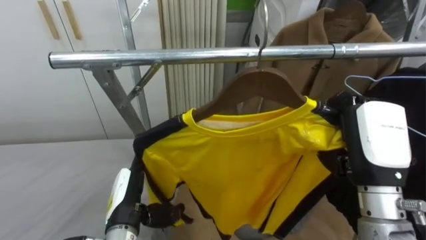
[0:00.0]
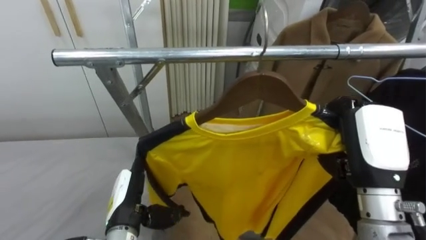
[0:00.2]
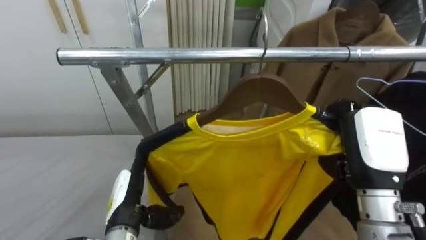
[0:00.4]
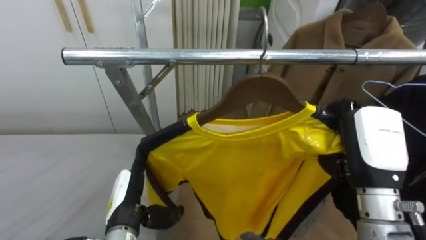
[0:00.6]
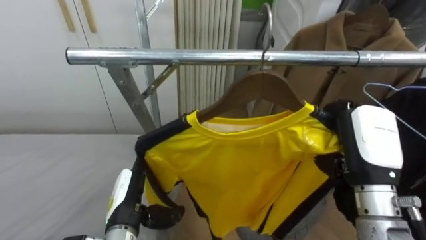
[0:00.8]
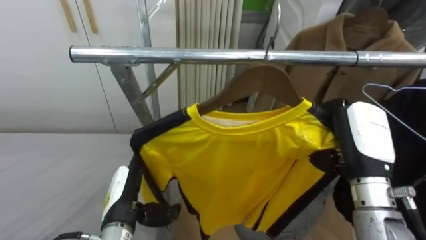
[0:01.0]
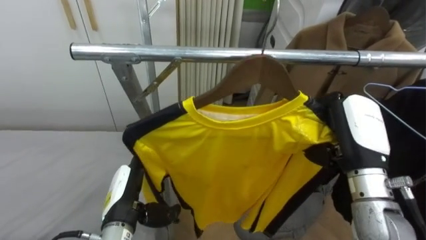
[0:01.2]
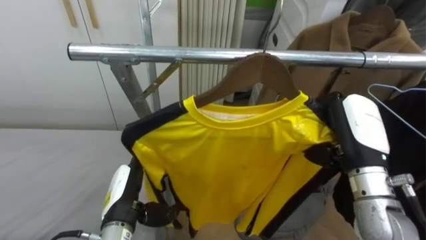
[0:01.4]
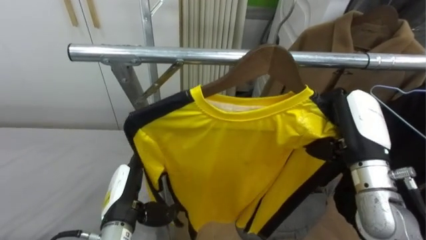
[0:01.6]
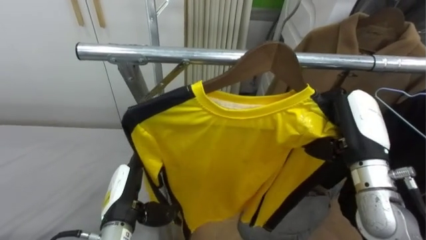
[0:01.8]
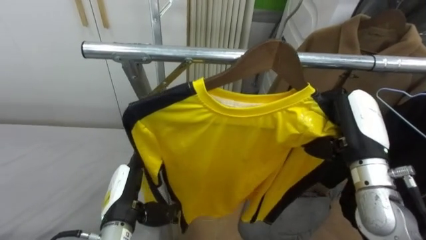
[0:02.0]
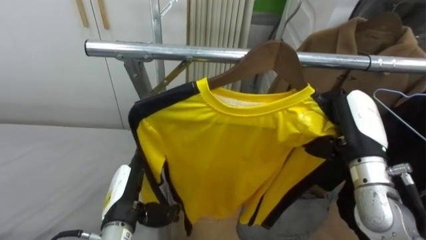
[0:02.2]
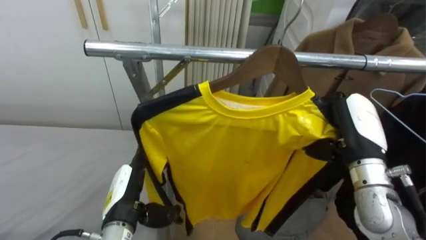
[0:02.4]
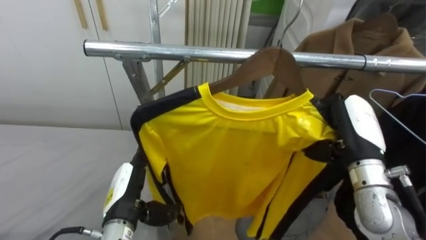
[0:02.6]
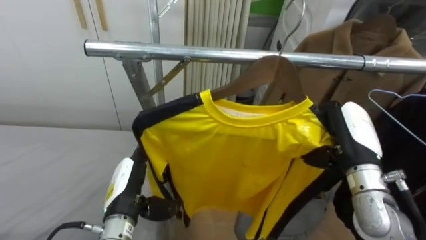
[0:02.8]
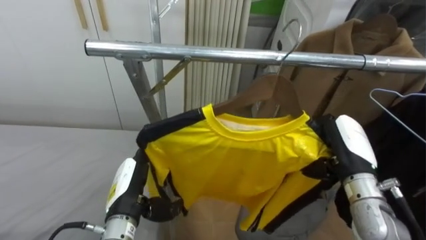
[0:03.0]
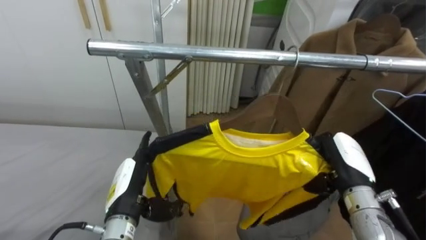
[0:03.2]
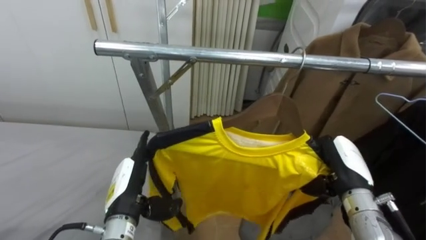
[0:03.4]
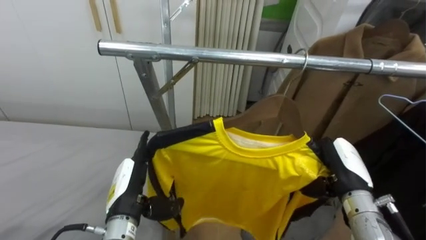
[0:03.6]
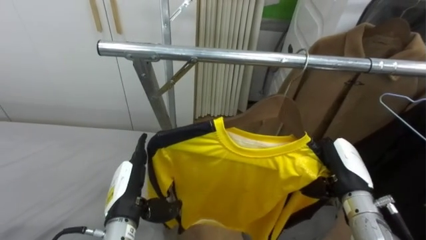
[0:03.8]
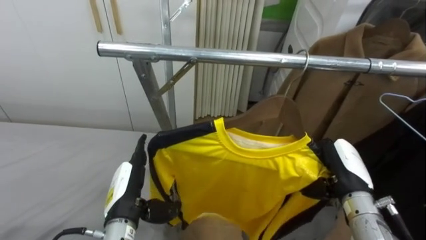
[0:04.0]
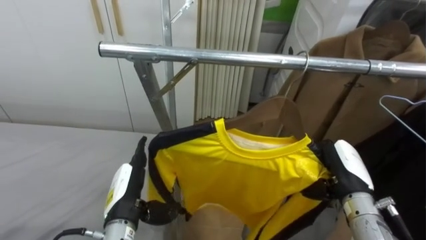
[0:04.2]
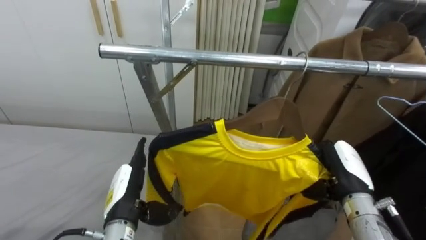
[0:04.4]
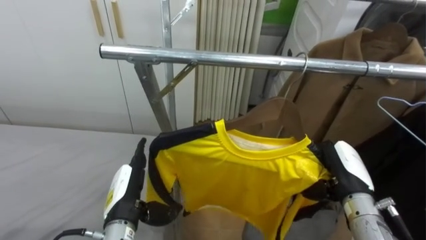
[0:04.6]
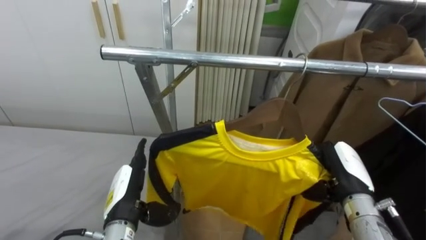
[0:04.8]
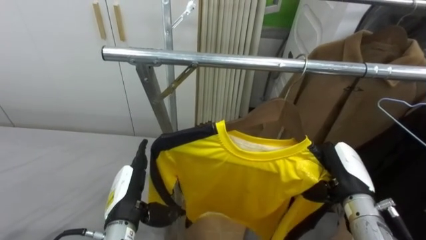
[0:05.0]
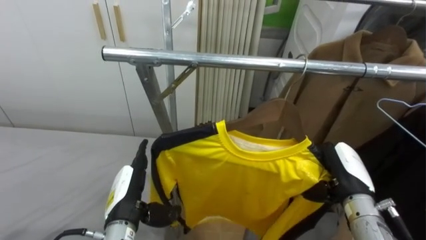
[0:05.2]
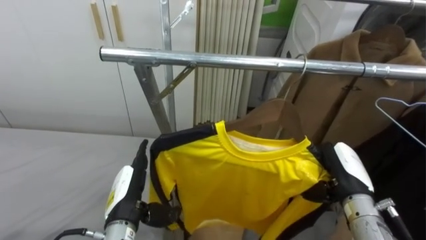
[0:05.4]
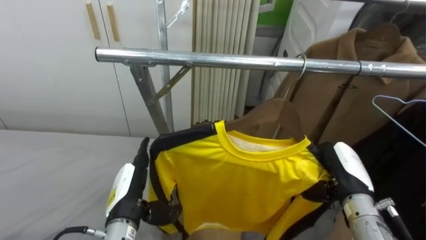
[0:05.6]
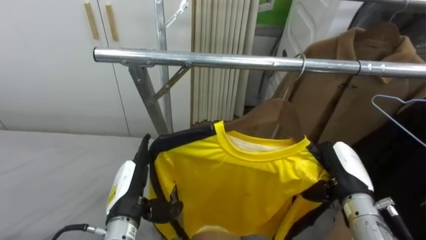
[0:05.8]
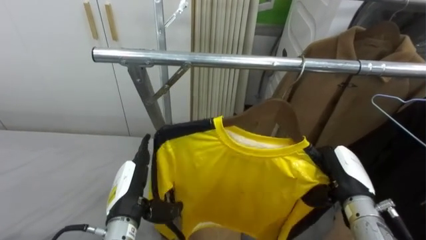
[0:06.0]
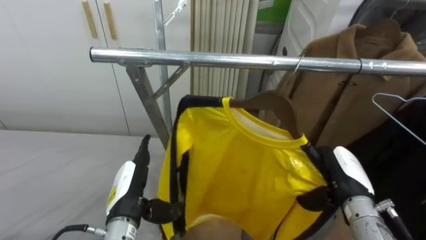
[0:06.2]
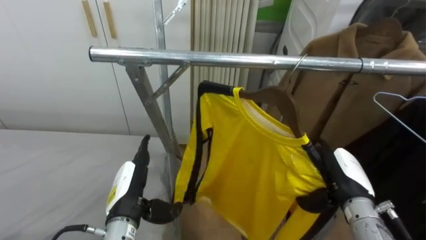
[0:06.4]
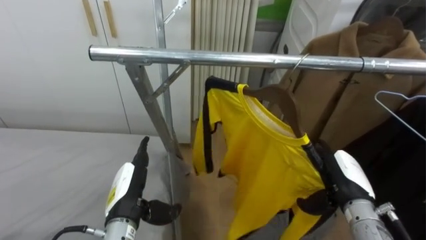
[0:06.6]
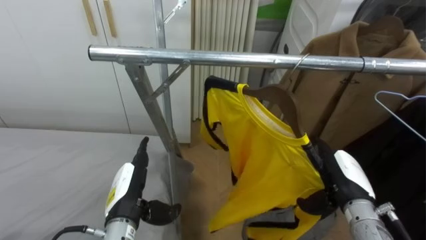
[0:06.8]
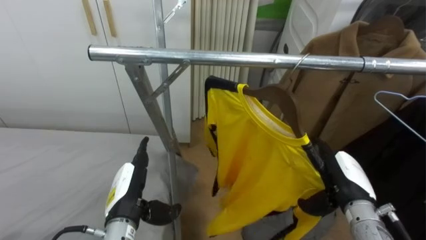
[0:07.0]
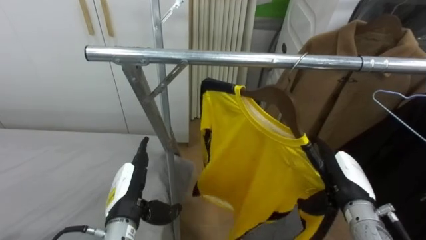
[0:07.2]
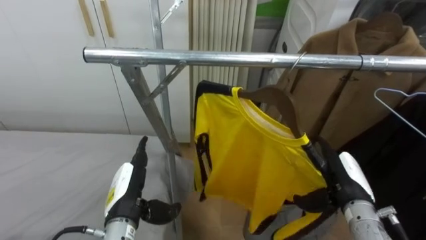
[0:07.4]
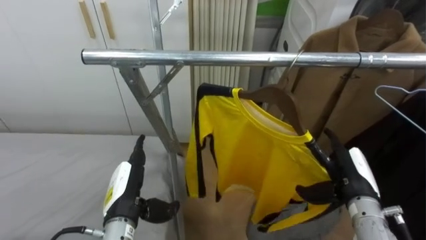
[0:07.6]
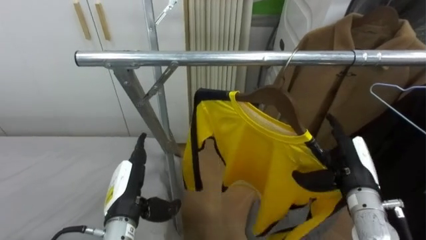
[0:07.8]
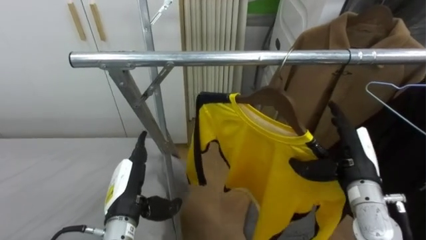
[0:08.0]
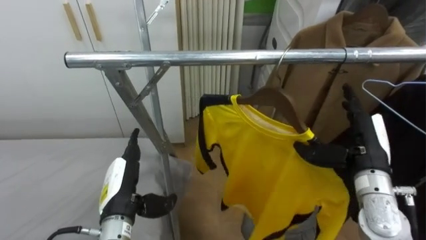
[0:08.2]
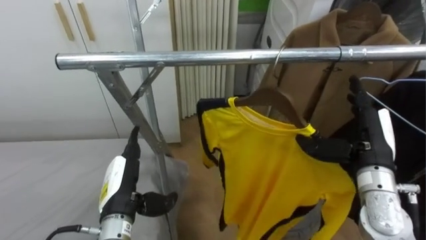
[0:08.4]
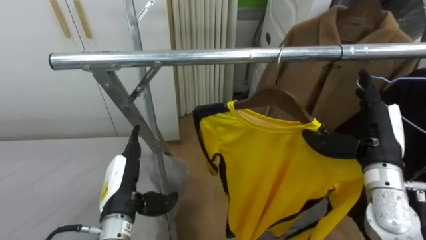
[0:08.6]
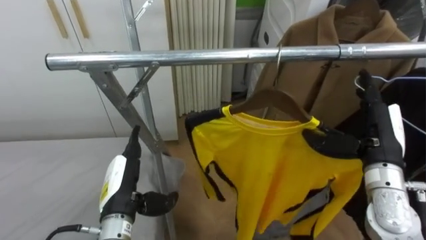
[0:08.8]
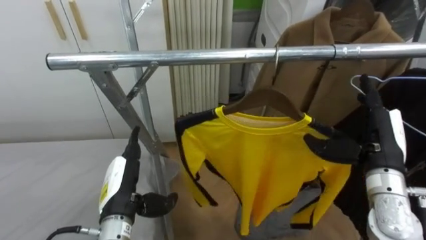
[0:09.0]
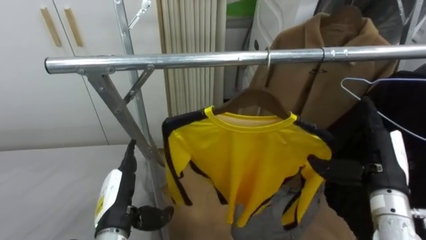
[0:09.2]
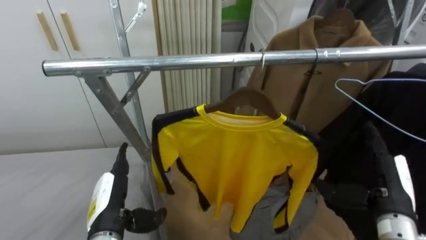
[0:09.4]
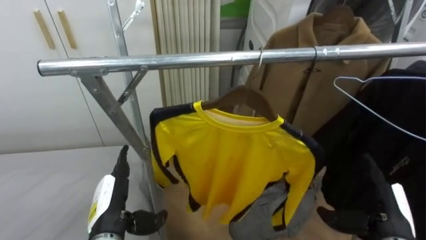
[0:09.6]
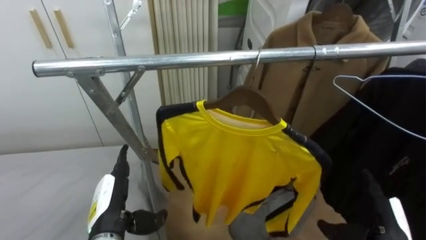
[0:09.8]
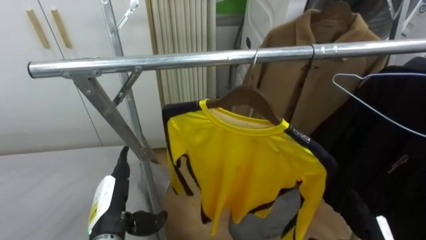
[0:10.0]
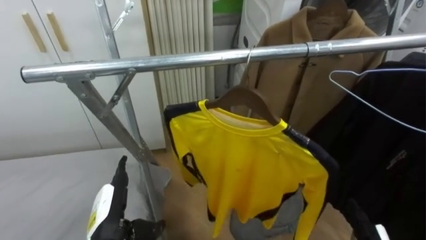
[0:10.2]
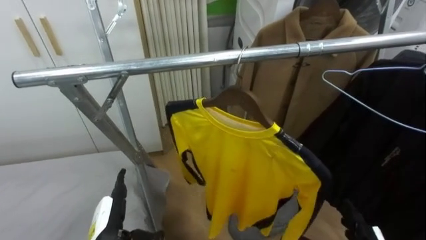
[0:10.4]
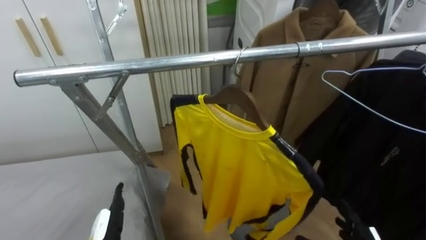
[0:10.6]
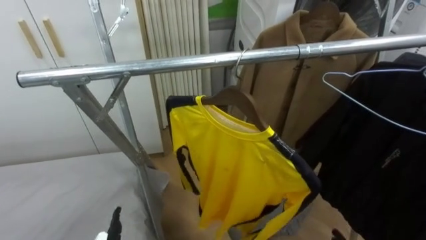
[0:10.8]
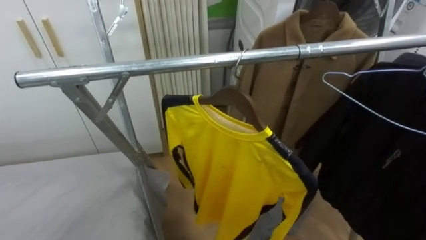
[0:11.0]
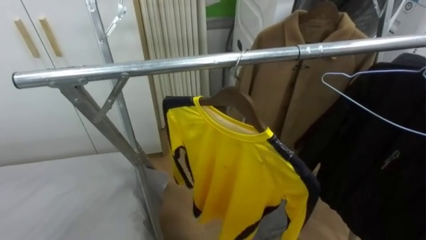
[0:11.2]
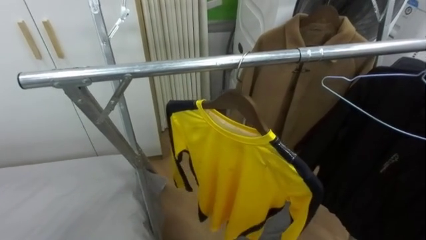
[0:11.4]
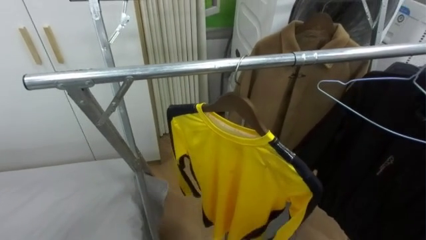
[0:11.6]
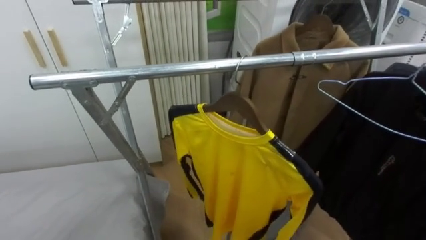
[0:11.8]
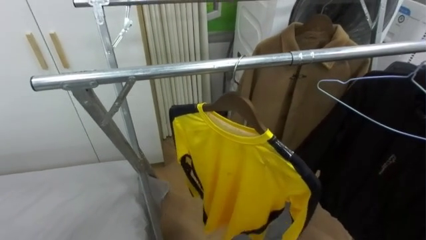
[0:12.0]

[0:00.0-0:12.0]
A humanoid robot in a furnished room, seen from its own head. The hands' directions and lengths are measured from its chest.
Task of the whole recording: Pick up the yellow shirt on the bed and hang it on the clothes rack on the right.
0:01.6 to 0:03.0: The right hand moves downward, some 5 cm.
0:03.0 to 0:04.4: The right hand goes some 5 cm downward.
0:06.0 to 0:07.6: The right hand opens its fingers.
0:07.6 to 0:09.0: The right hand goes roughly 10 cm upward.
0:09.0 to 0:10.4: The left hand moves downward, some 5 cm.

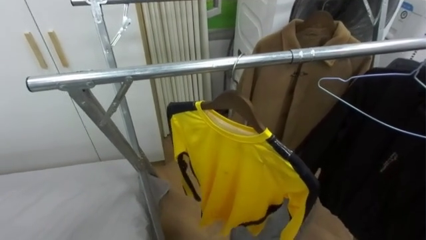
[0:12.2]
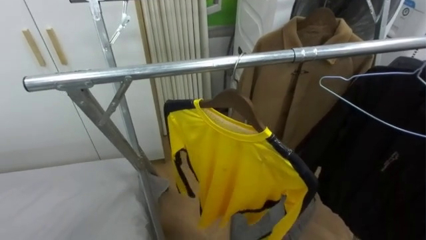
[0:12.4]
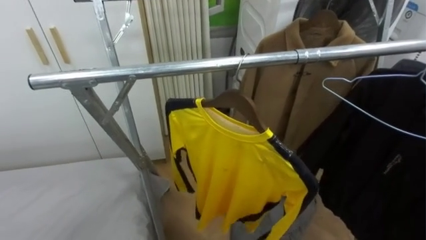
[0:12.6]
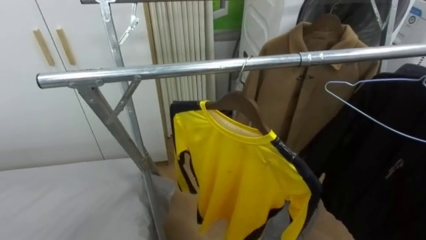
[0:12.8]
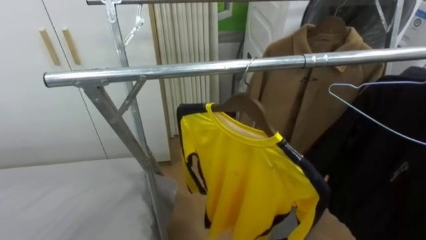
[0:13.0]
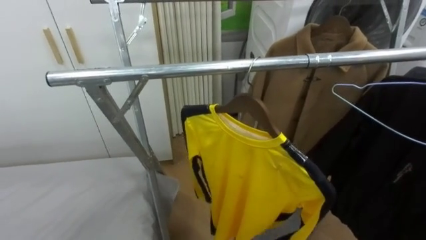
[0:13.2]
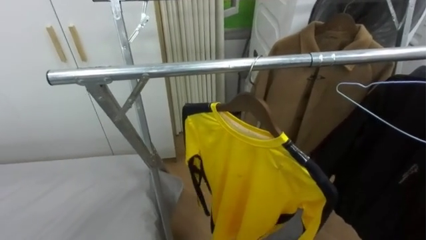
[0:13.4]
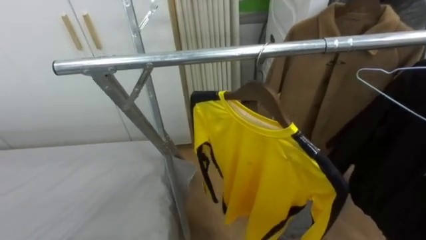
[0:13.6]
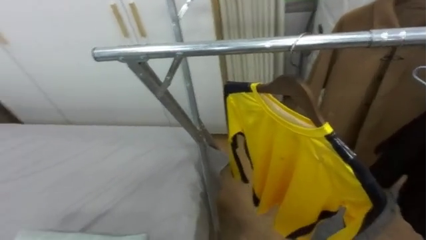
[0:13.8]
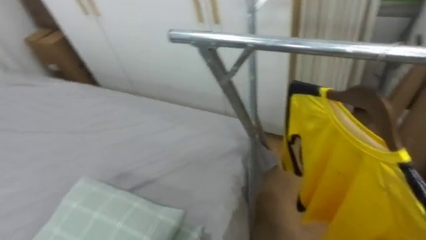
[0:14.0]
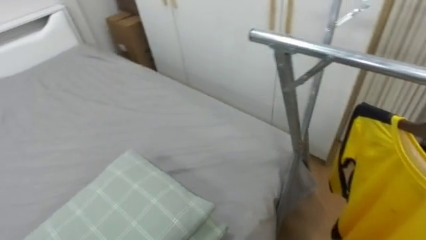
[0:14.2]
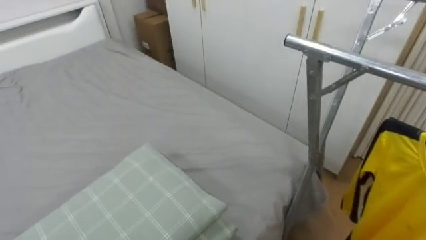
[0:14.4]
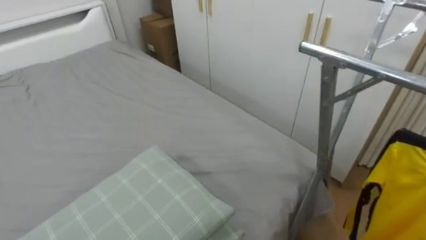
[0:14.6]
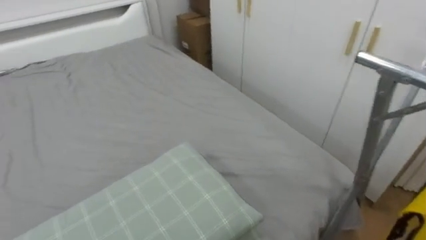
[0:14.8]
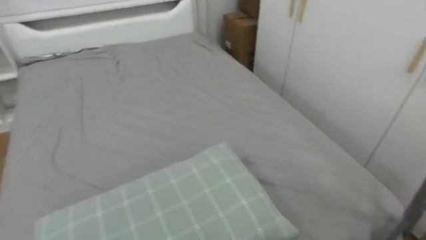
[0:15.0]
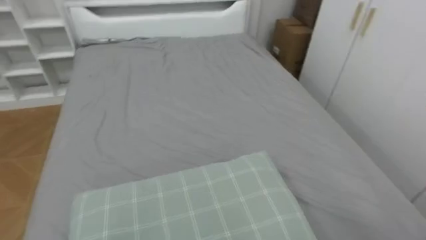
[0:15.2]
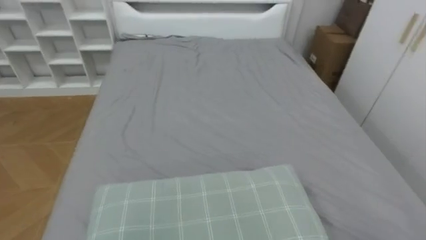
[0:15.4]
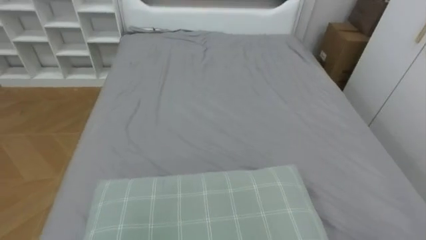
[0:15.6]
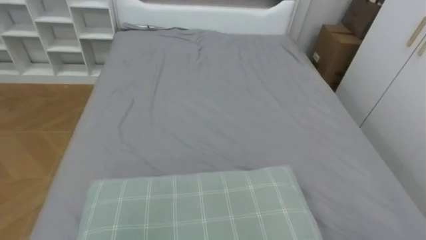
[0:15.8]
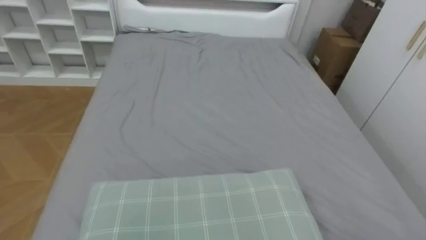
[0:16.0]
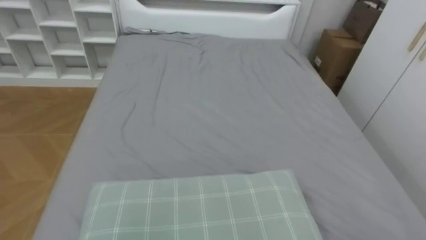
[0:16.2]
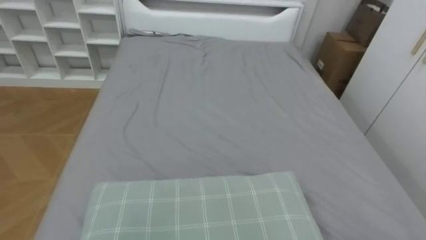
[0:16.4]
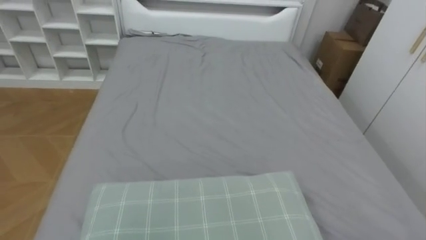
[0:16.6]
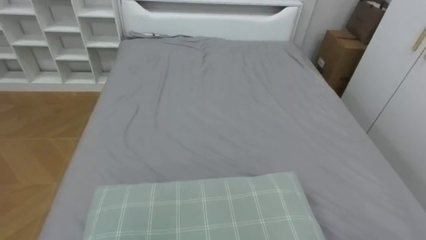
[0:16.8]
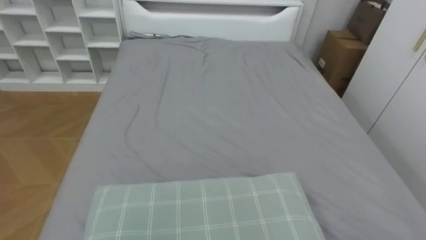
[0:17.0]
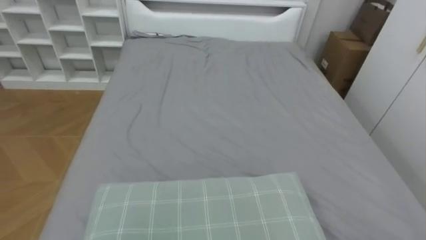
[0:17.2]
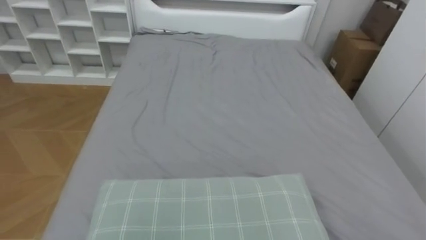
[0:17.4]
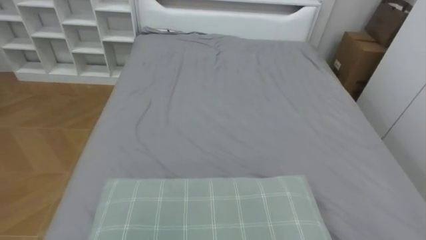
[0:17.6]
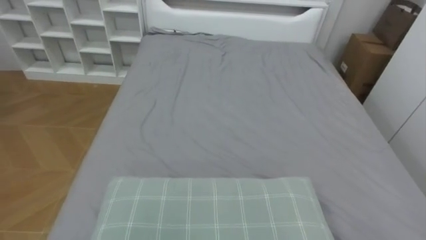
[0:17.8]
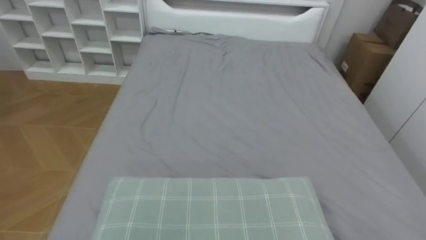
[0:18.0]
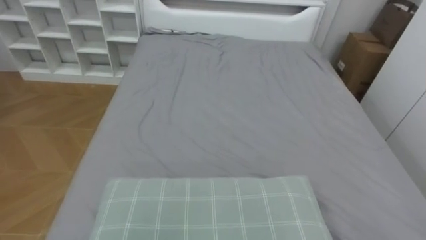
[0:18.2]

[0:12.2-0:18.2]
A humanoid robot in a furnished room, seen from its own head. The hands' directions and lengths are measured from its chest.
Task of the whole recording: Pick up the yellow shirt on the bed and hang it on the clothes rack on the right.
0:13.8 to 0:15.2: The robot rotates roughly 70 degrees to its left.
